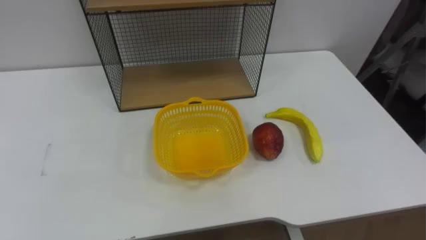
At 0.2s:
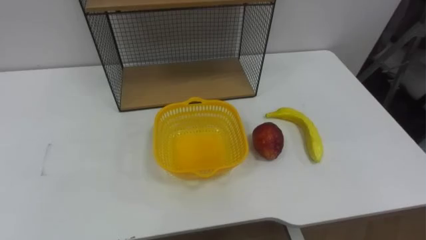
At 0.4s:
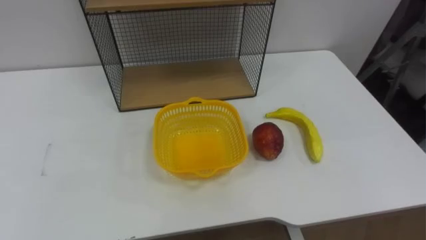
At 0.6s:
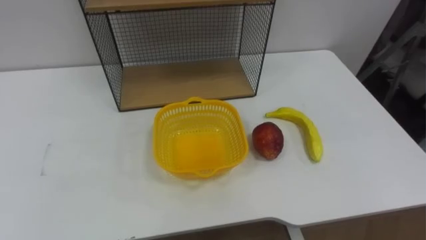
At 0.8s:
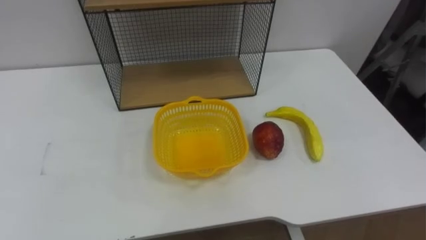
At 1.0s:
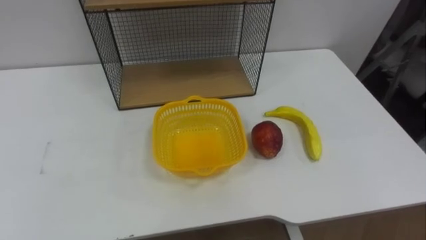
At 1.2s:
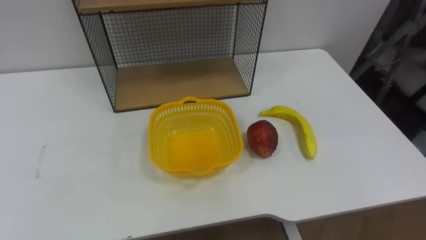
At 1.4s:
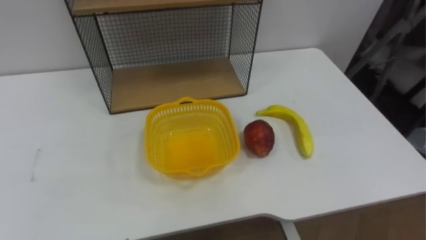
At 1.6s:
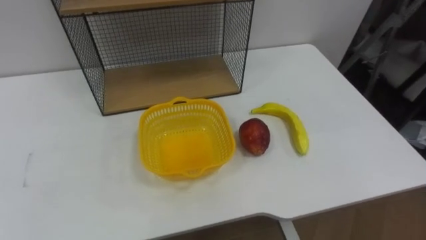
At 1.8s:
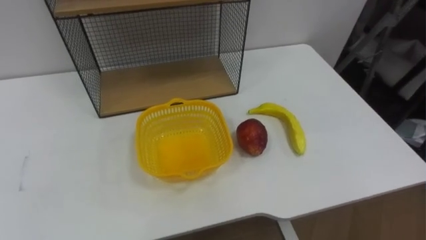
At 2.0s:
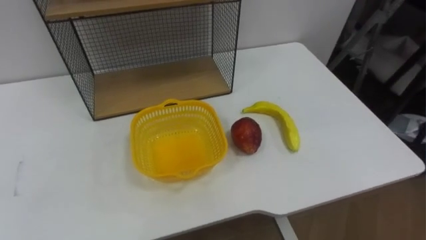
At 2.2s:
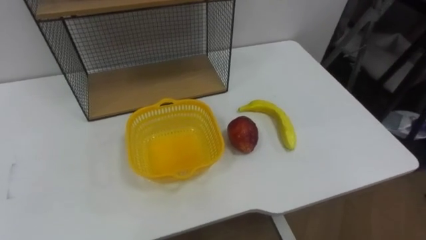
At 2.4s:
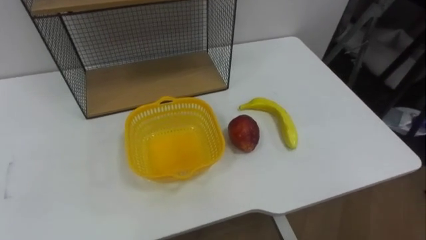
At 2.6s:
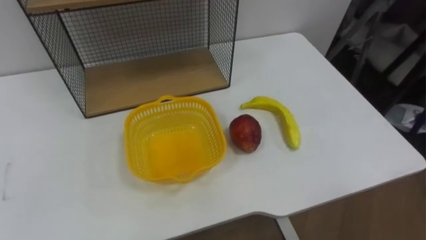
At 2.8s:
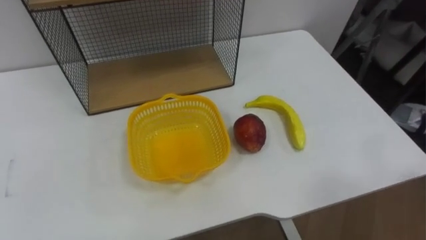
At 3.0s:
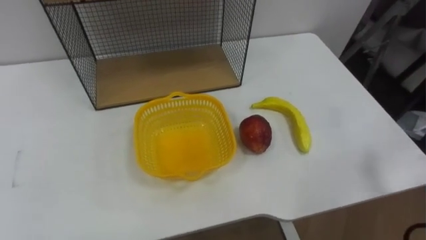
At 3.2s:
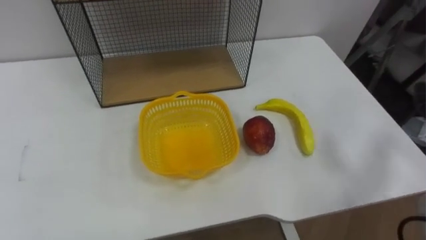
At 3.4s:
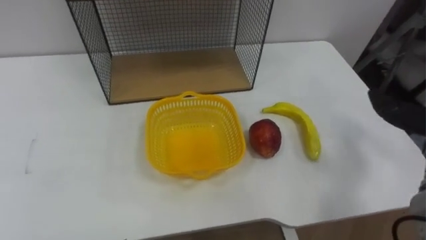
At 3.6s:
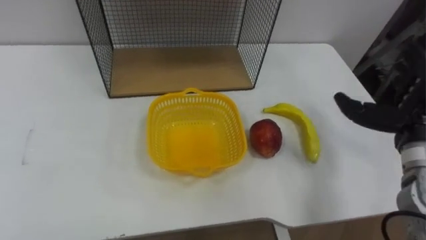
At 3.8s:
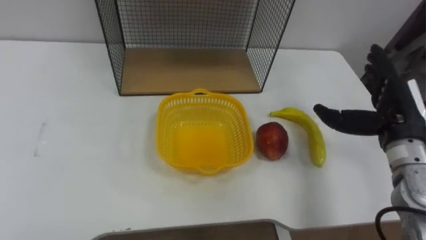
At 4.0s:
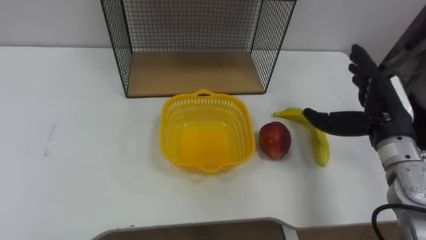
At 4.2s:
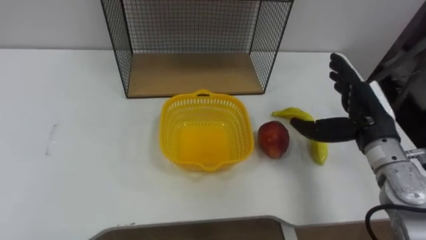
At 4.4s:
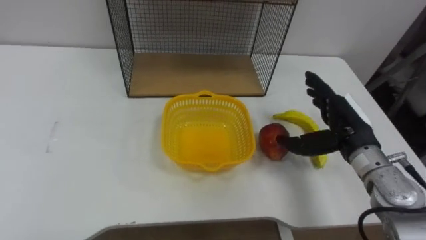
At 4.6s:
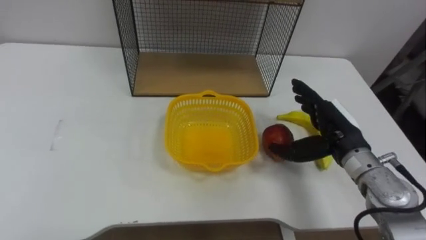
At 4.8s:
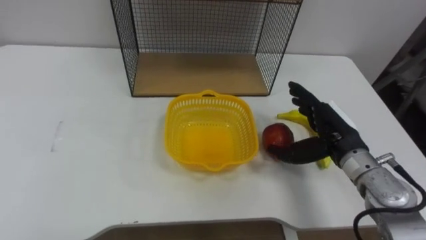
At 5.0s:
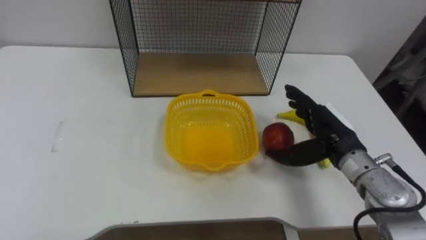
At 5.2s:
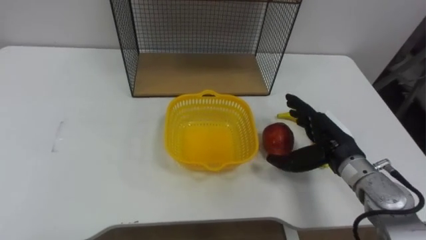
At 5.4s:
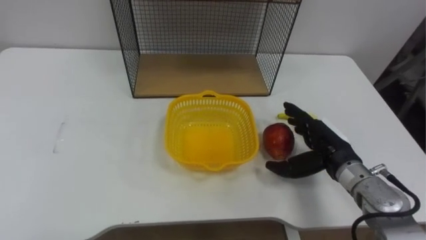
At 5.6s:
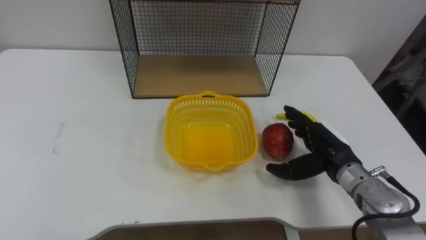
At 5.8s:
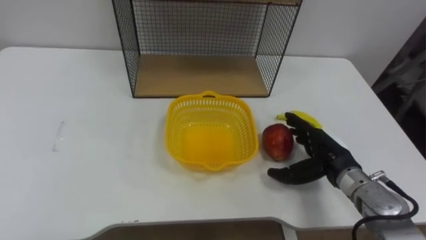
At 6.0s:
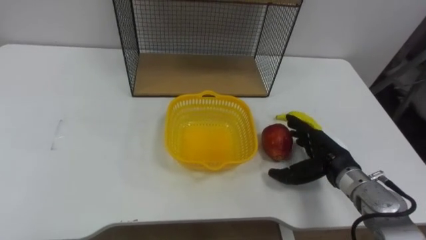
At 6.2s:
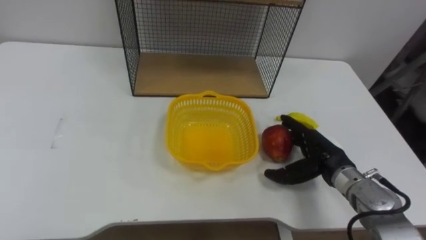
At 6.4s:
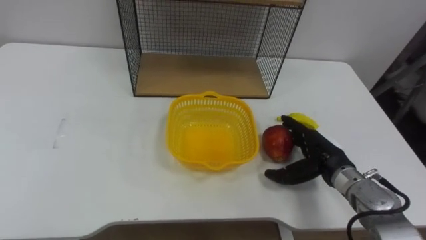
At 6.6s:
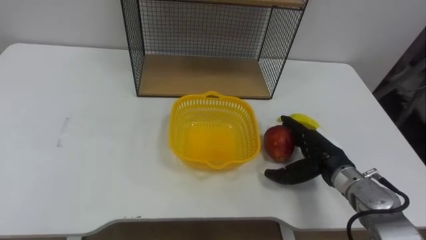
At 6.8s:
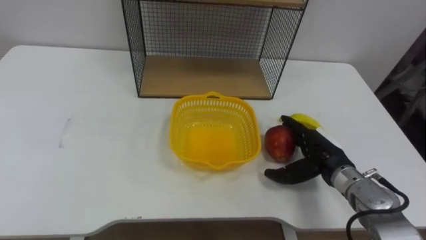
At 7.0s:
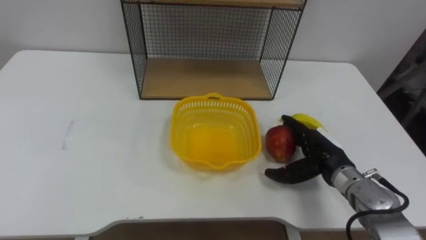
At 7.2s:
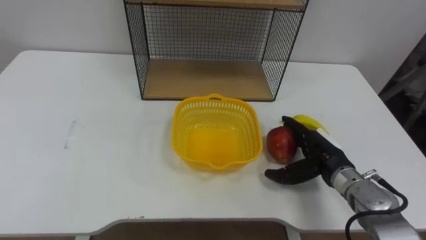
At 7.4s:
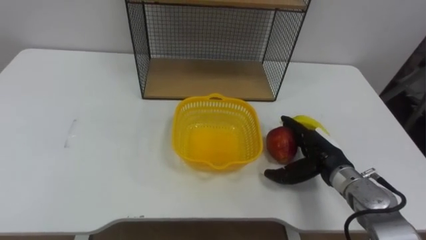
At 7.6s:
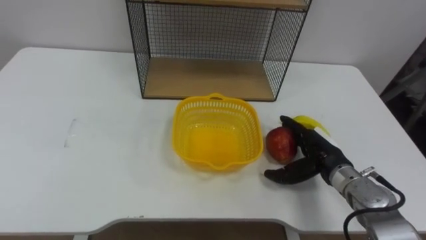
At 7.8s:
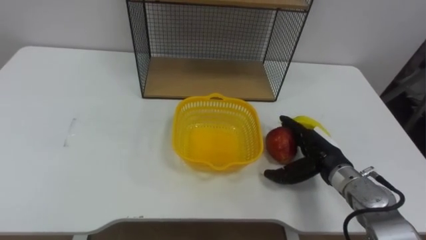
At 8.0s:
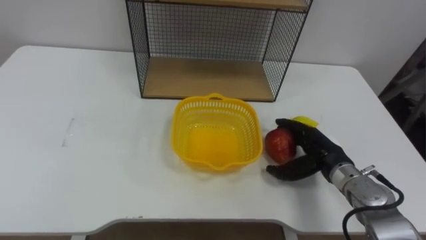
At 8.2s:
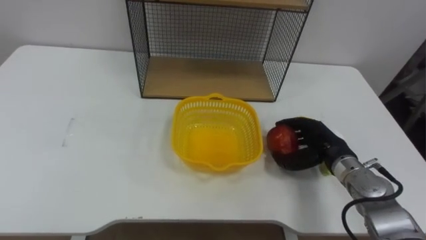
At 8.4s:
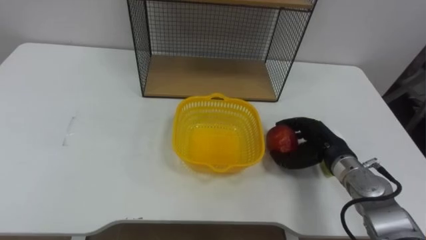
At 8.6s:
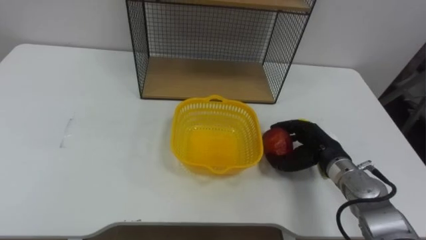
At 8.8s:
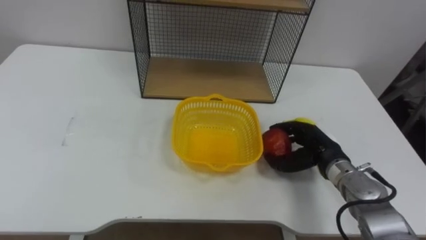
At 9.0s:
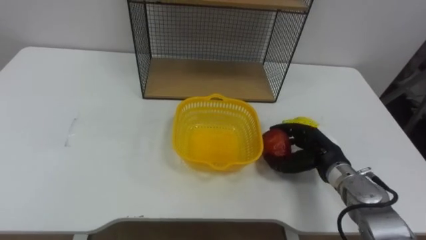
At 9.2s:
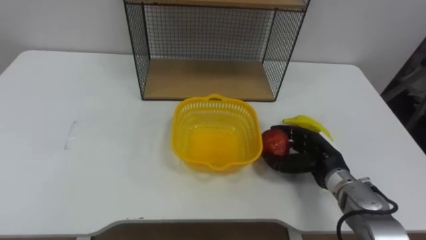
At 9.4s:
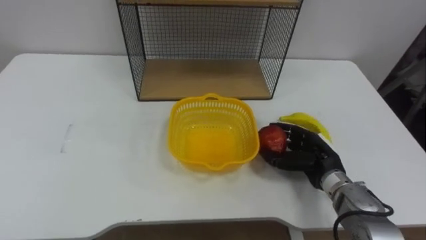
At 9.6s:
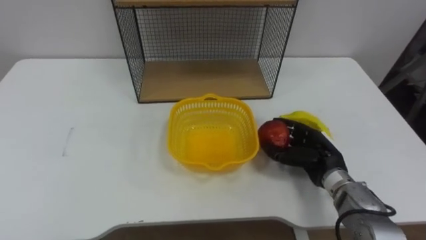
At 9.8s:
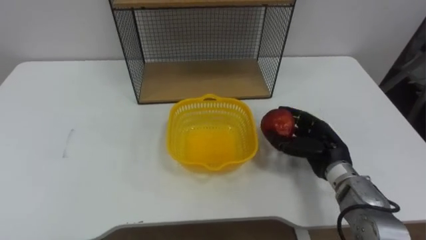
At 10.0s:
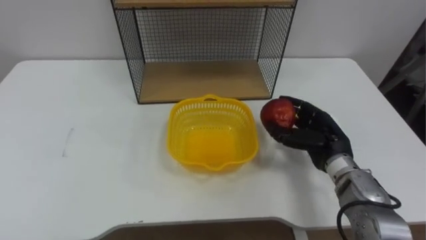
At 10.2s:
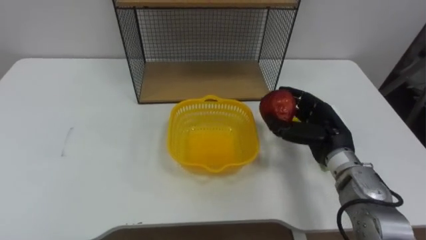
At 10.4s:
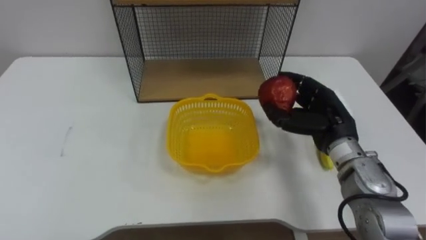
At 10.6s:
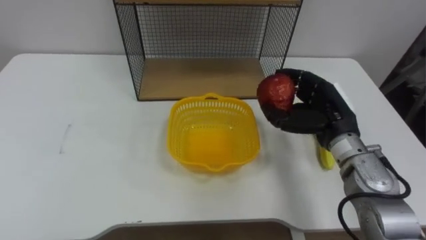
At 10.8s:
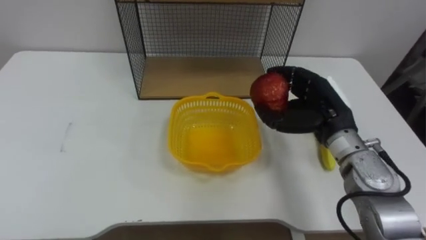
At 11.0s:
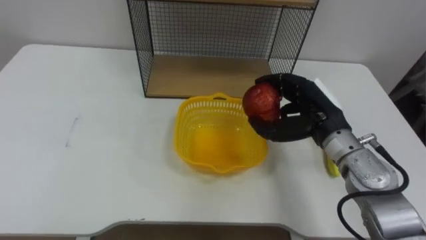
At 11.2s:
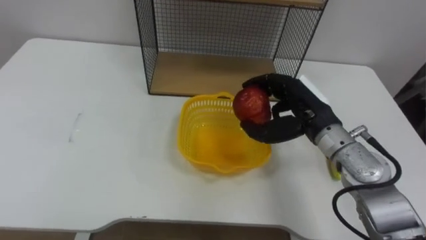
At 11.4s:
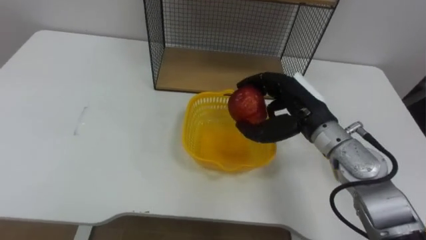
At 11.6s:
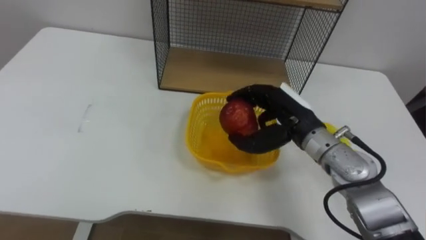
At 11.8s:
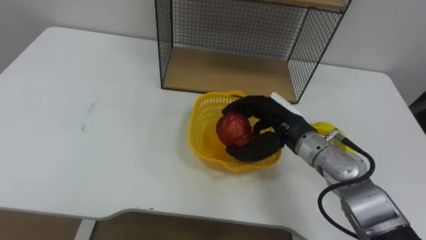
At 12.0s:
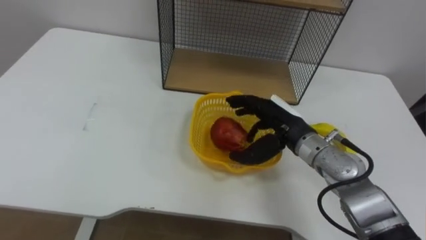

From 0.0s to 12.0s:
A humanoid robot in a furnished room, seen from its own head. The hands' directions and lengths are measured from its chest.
Task of the whole recording: Put the fruit on the table into the basket, then place the basket on the shelf.
From 4.4s to 6.0s: The right hand goes approximately 10 cm downward.
From 7.6s to 9.0s: The right hand closes its fingers.
From 9.0s to 10.4s: The right hand travels upward by roughly 10 cm.
From 10.4s to 12.0s: The right hand heads to the left, covering roughly 10 cm.

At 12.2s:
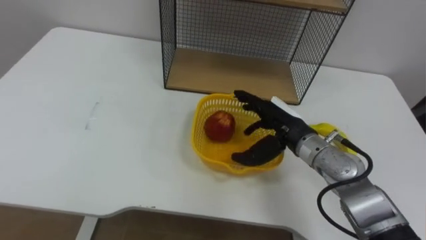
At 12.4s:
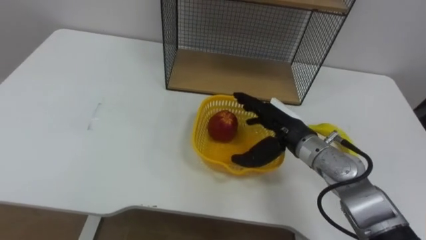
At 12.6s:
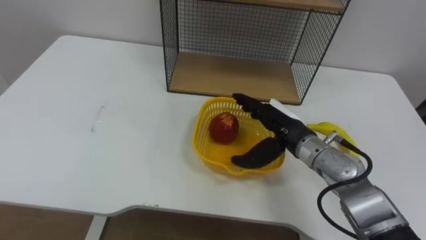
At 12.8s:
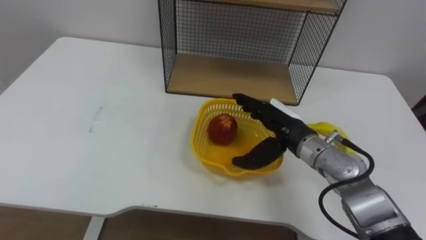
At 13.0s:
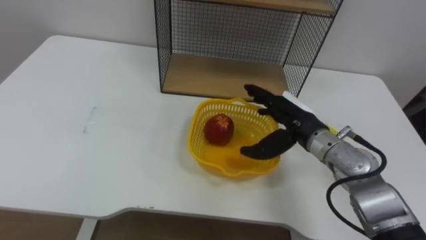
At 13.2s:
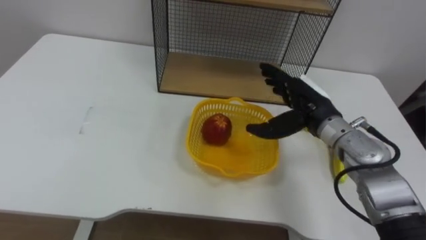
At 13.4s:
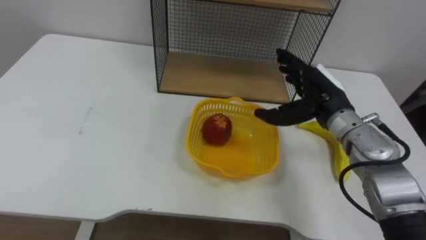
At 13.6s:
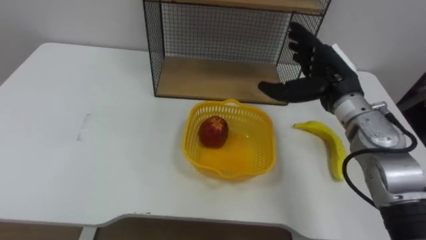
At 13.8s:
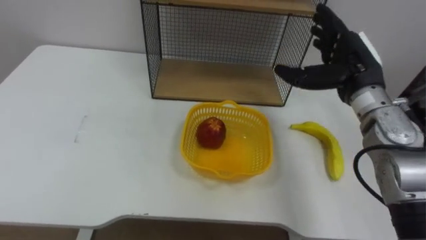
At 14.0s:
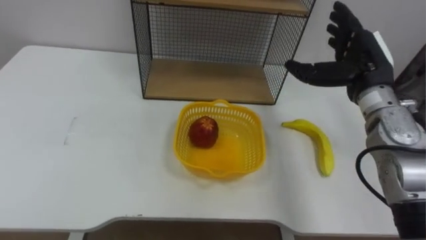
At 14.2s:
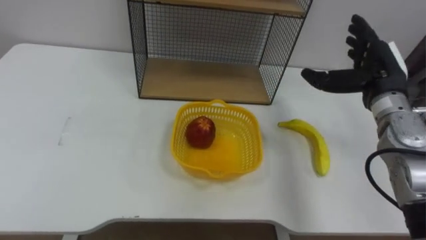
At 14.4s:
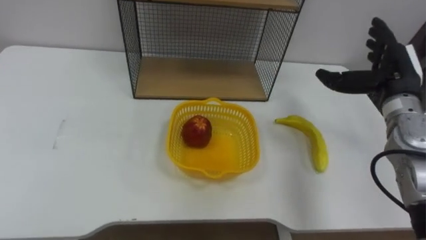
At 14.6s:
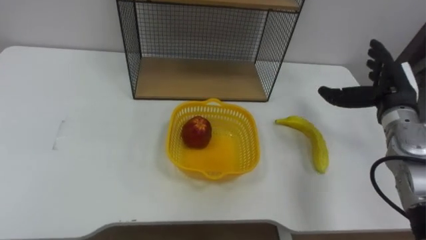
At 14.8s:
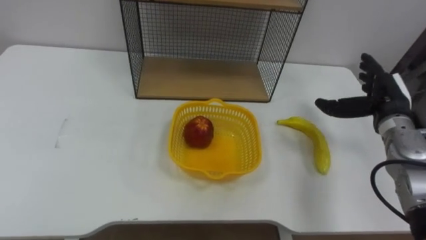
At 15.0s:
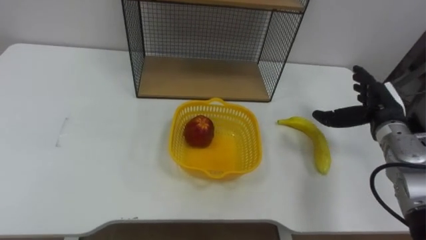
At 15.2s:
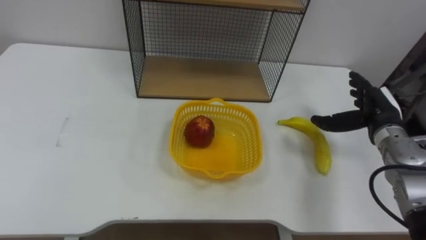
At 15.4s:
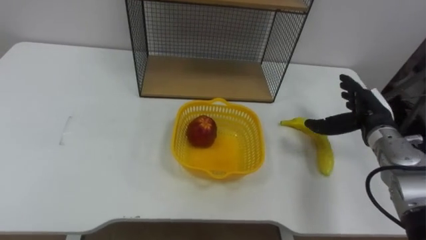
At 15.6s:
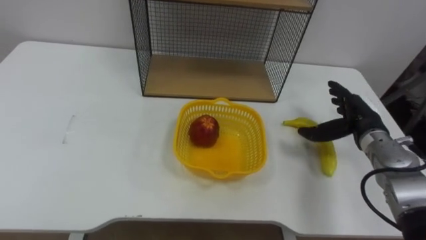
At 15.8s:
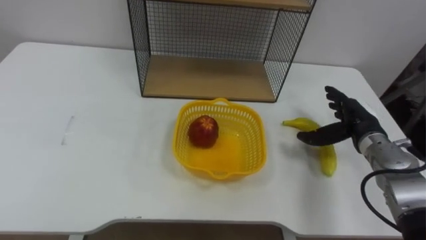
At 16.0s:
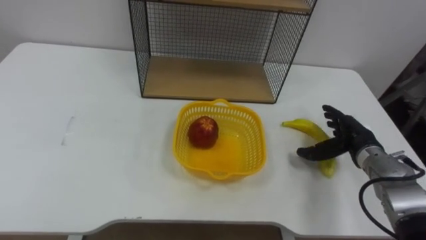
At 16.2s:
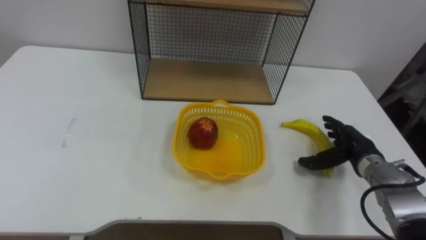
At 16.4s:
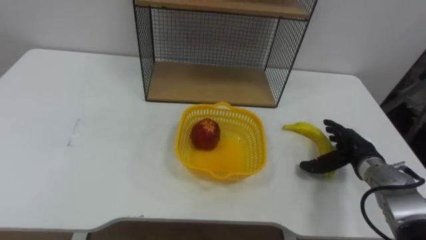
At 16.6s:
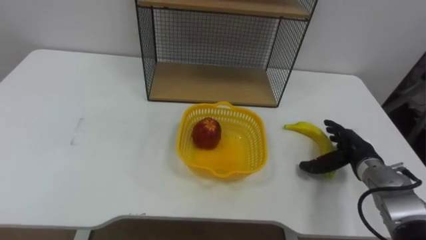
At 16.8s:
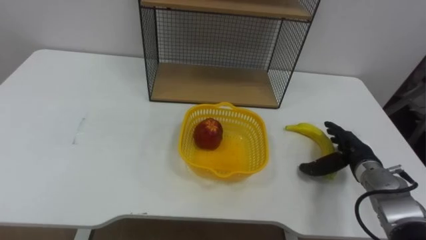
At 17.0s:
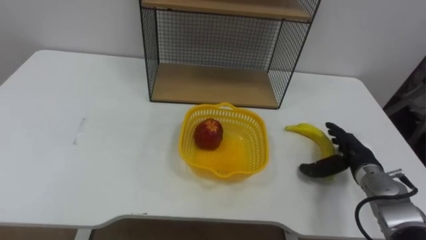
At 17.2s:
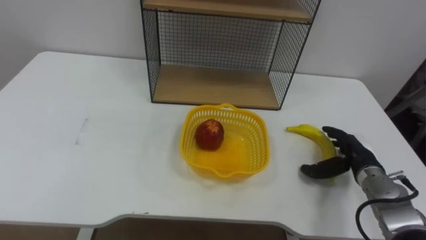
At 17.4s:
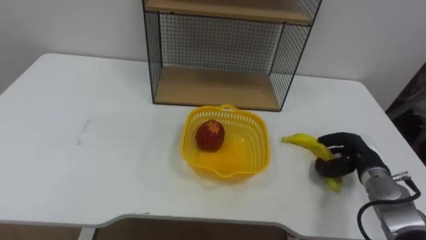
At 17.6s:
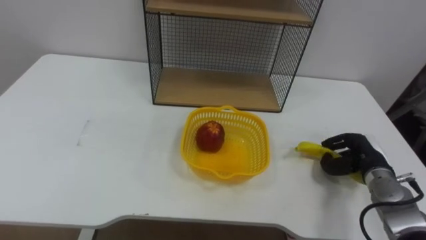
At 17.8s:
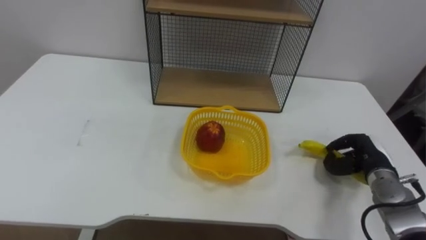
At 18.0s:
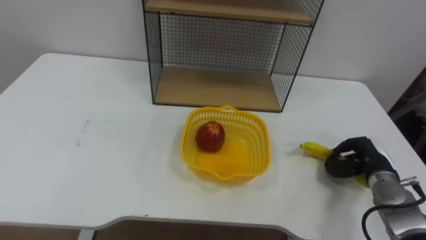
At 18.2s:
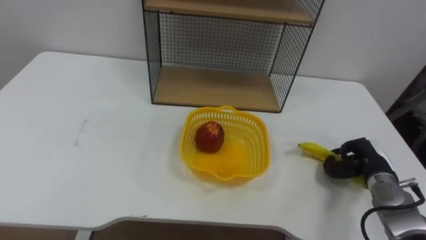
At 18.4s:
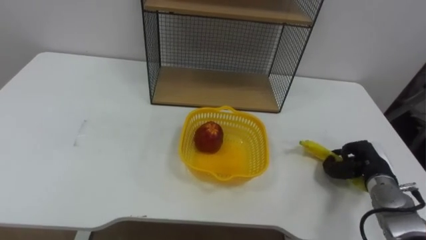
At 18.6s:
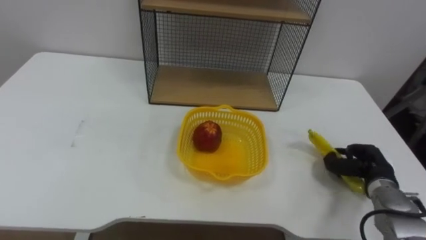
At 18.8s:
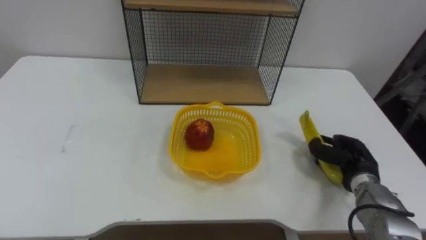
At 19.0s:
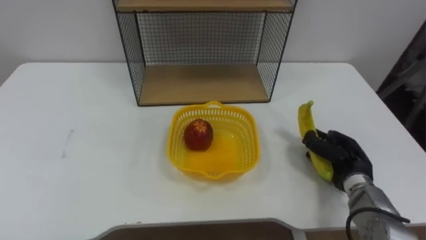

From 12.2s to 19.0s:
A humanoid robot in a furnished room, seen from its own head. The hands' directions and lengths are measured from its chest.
Task of the whole recording: Put the fruit on the table into the basket, then place the basket on the shelf.
From 12.2s to 13.6s: The right hand heads upward and to the right, covering some 10 cm.
From 13.6s to 15.0s: The right hand shifts approximately 15 cm to the right and downward.
From 15.0s to 16.2s: The right hand travels downward by some 10 cm.
From 16.2s to 17.6s: The right hand closes its fingers.
